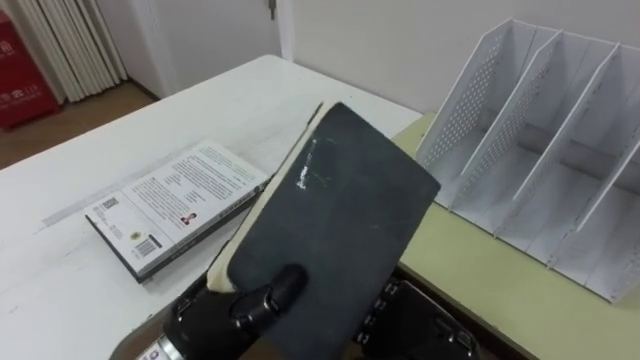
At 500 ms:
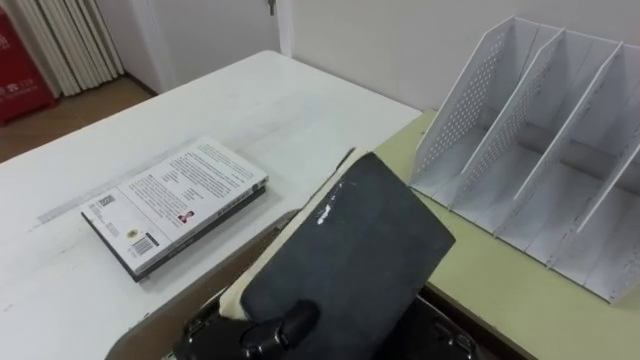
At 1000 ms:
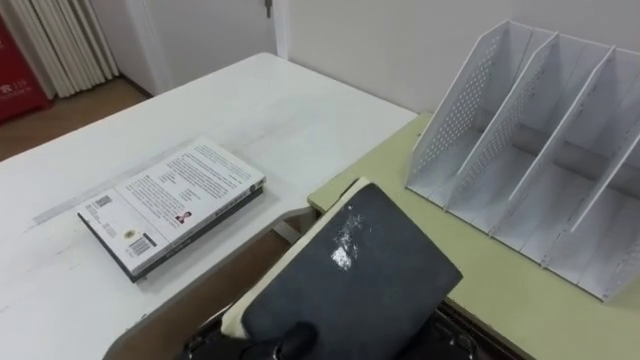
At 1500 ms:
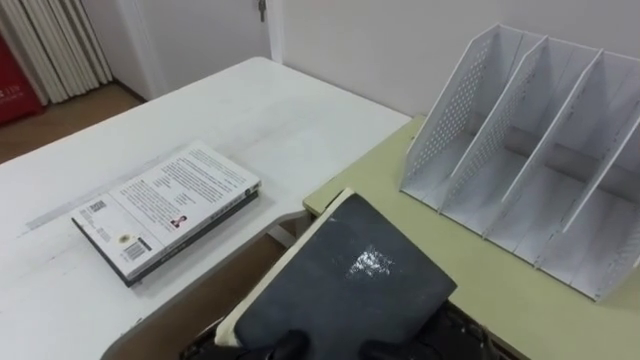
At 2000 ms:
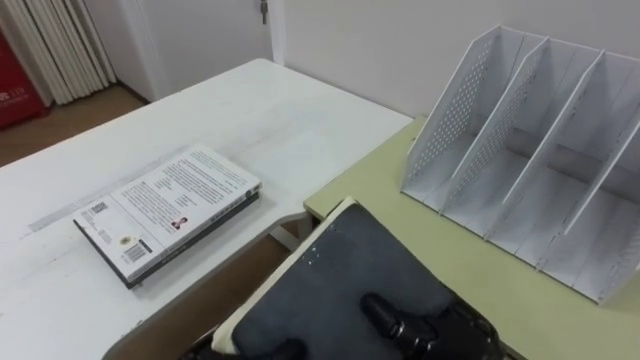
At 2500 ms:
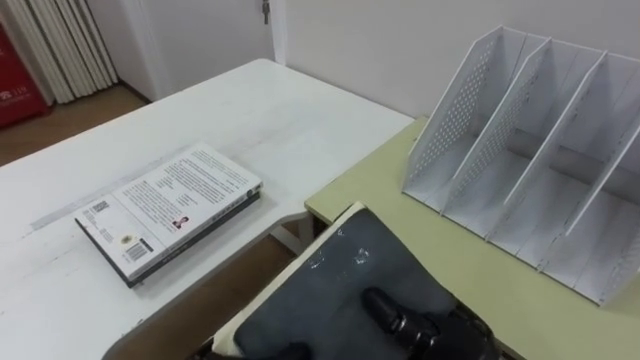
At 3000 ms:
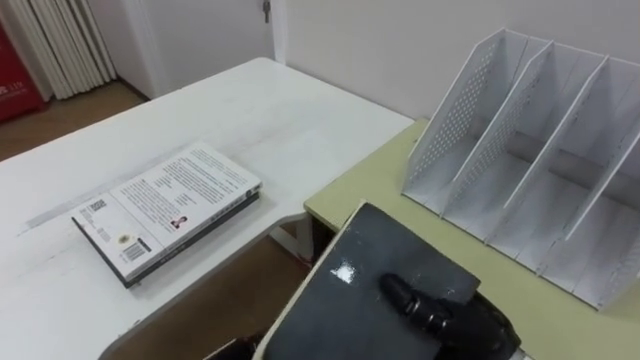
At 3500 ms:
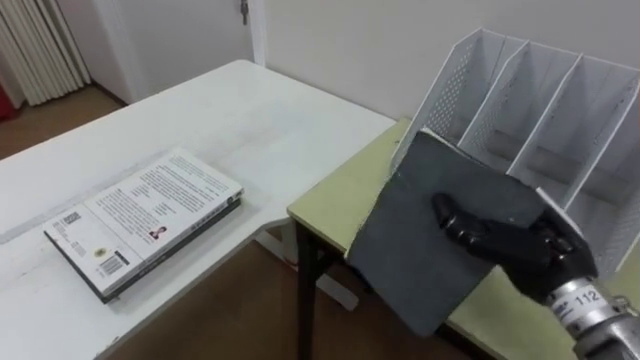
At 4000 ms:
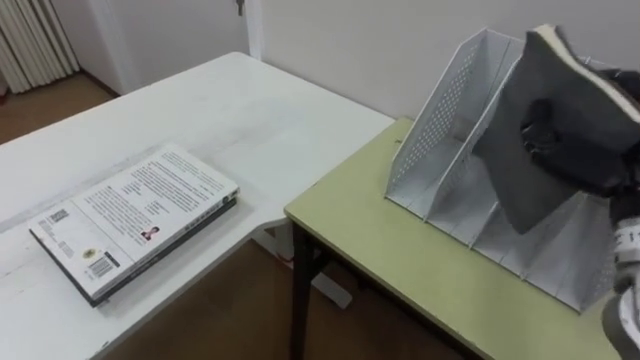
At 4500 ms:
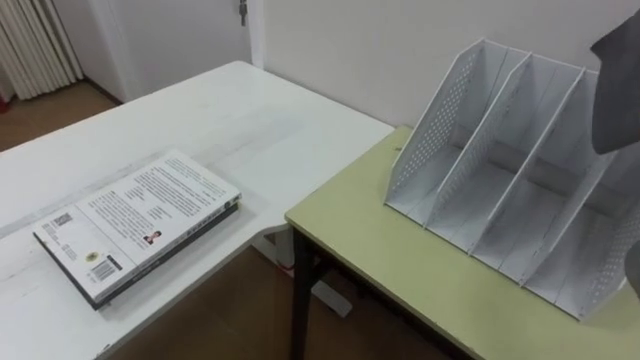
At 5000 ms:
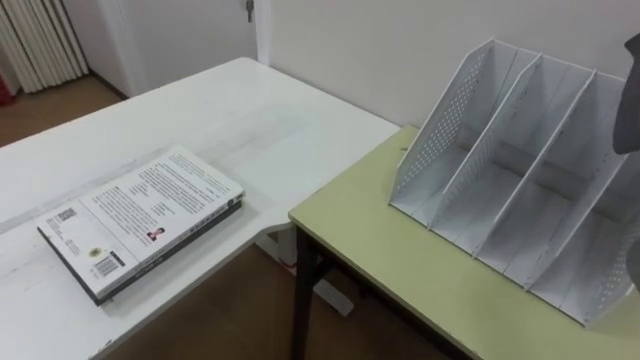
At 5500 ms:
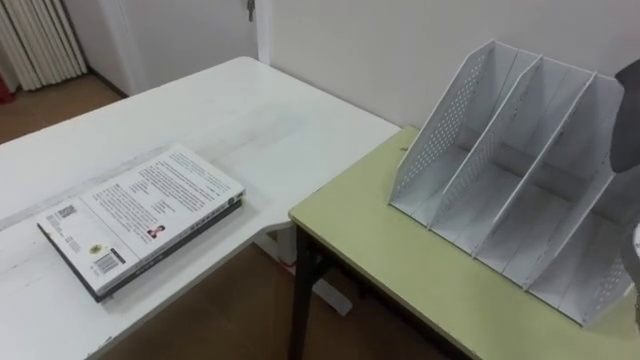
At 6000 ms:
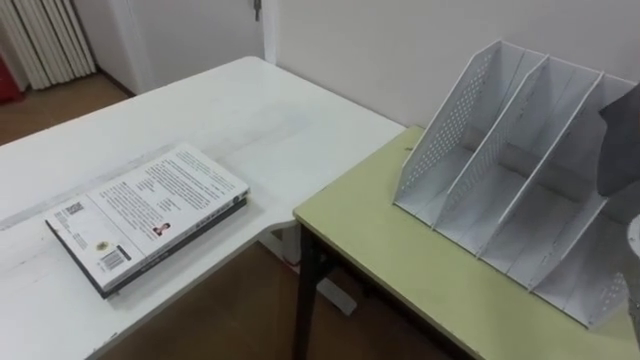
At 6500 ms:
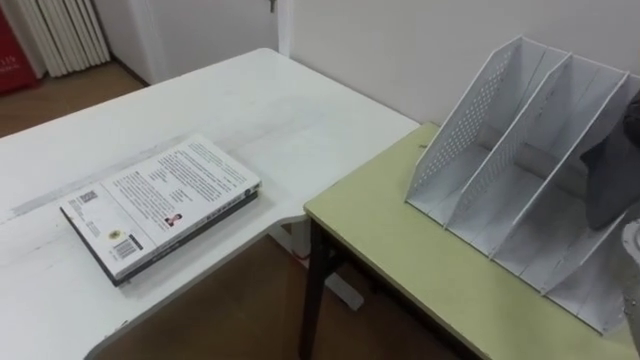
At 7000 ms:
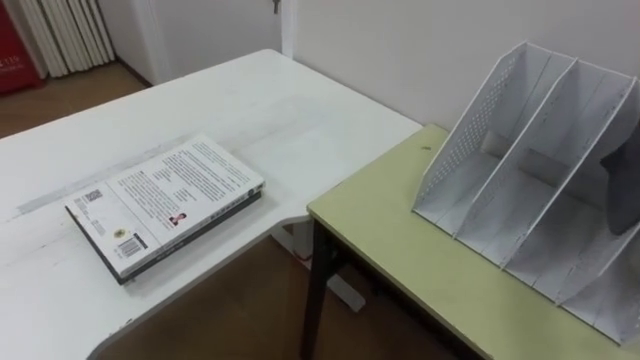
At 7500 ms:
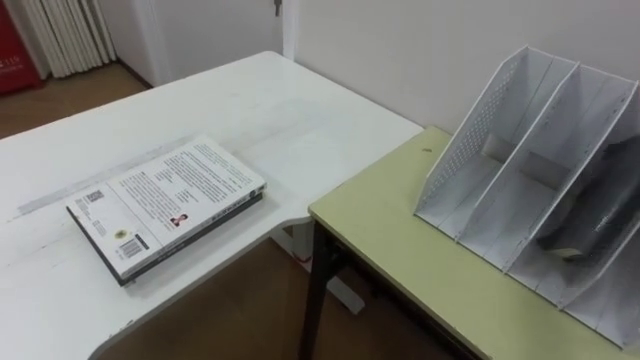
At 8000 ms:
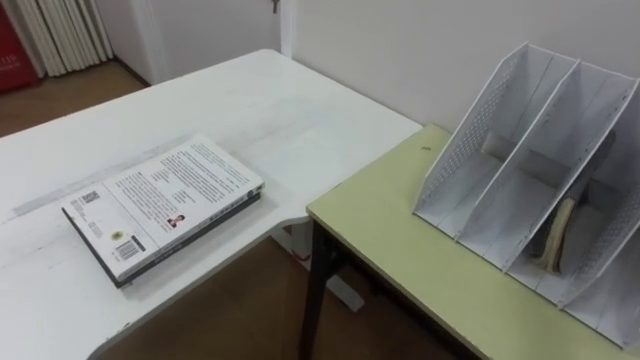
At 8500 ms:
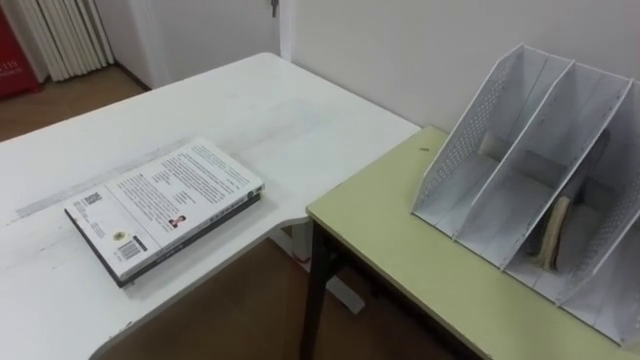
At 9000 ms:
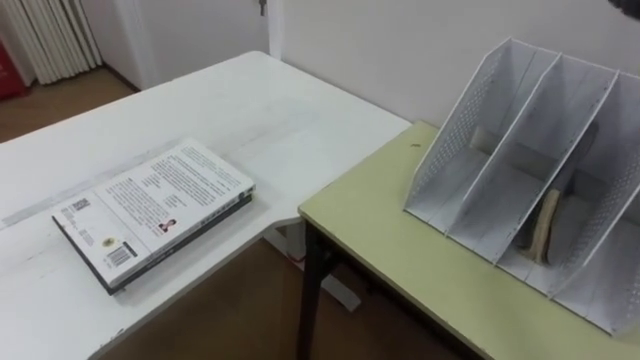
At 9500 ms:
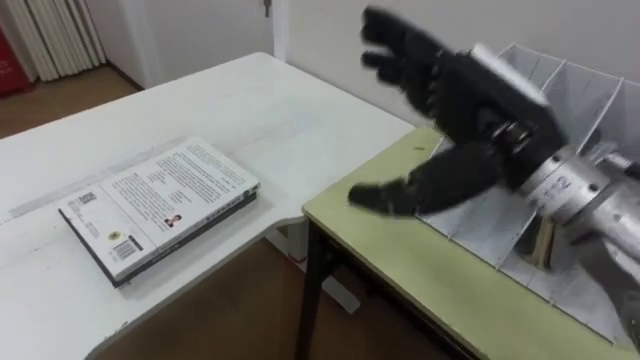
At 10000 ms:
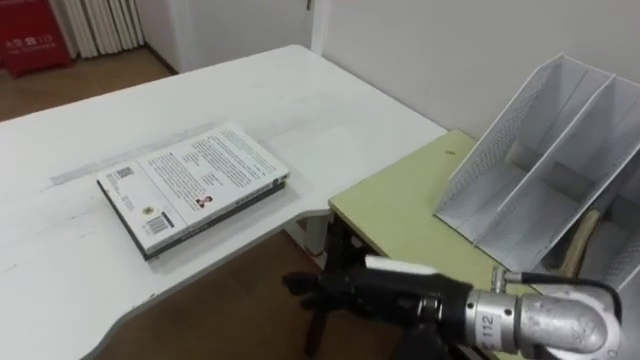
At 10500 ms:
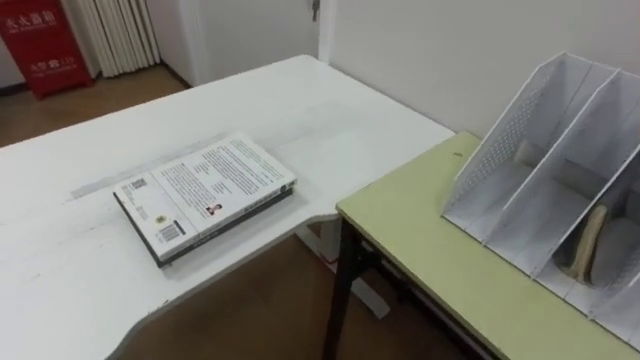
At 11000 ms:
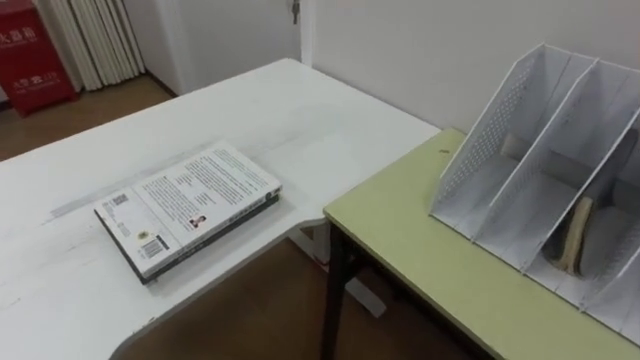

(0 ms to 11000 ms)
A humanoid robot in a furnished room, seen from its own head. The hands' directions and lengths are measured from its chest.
Task of the whole recording: Put the books on the table onto the bookshelf.
0 ms - 2000 ms: The right hand closes its fingers; the left hand travels downward by roughly 5 cm.
2000 ms - 3500 ms: The right hand heads to the right, forward and upward, covering about 15 cm.

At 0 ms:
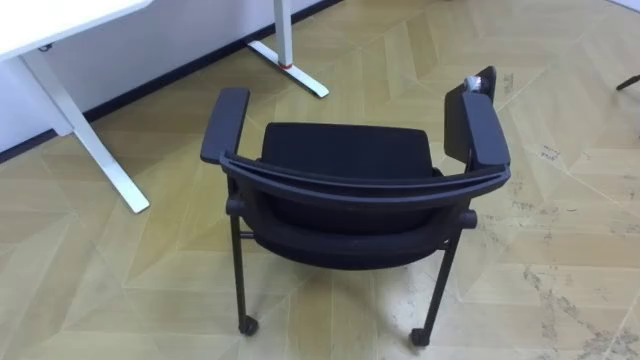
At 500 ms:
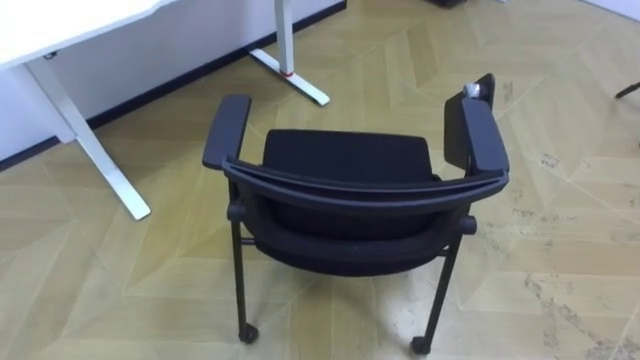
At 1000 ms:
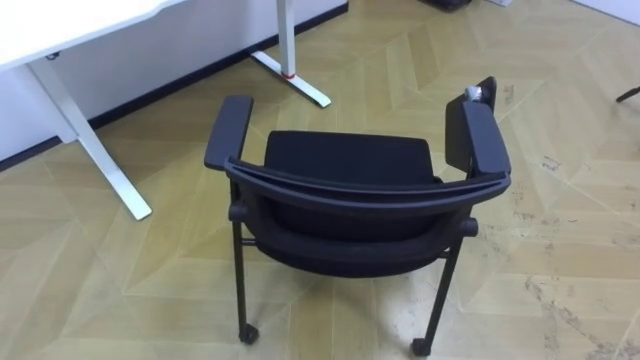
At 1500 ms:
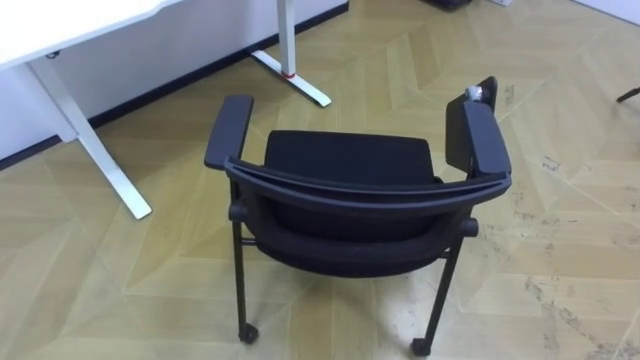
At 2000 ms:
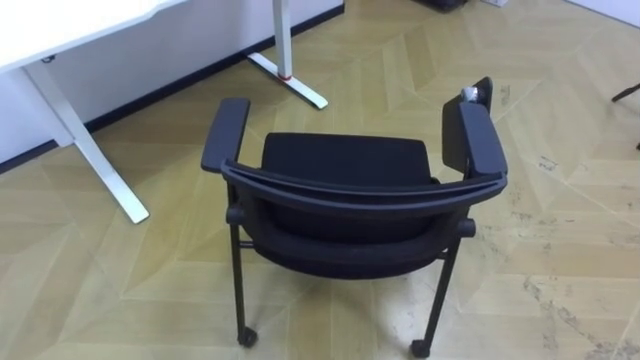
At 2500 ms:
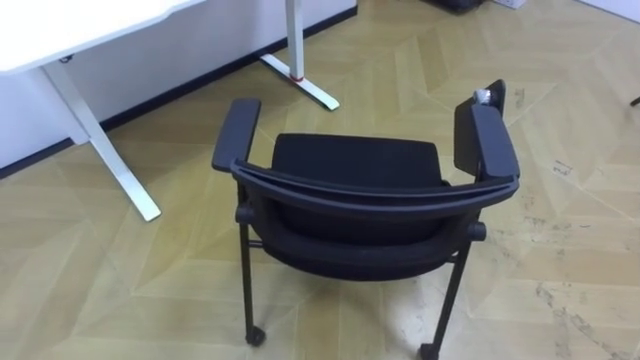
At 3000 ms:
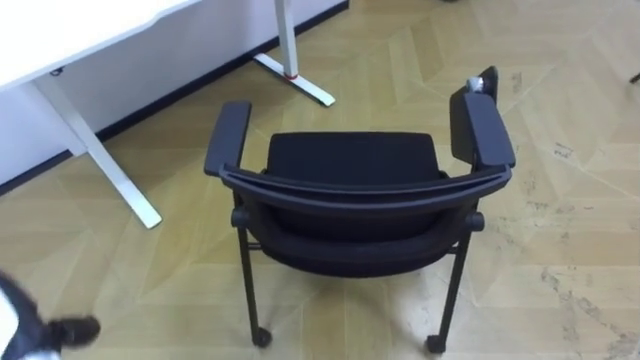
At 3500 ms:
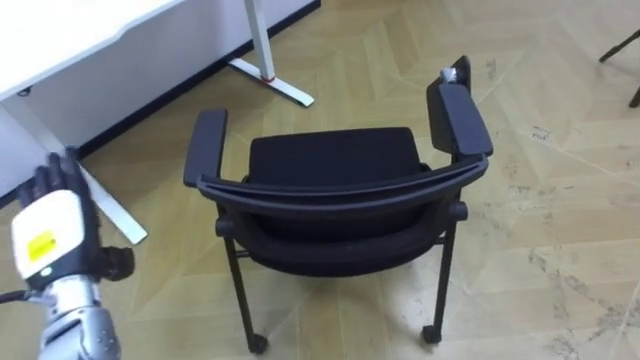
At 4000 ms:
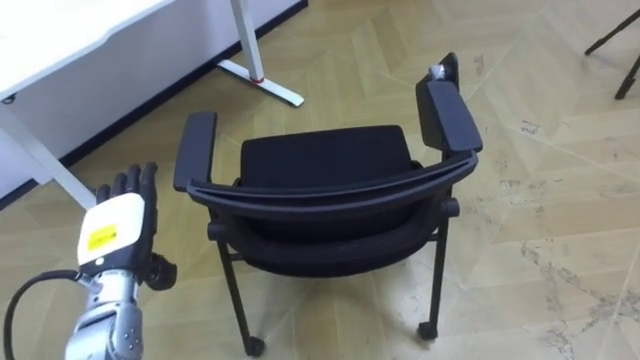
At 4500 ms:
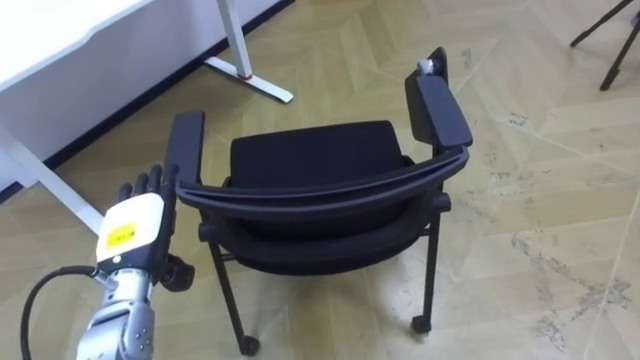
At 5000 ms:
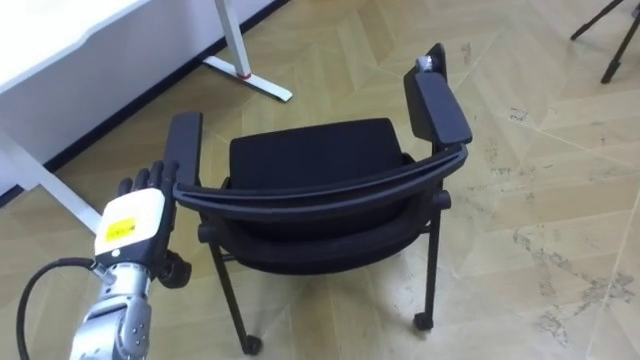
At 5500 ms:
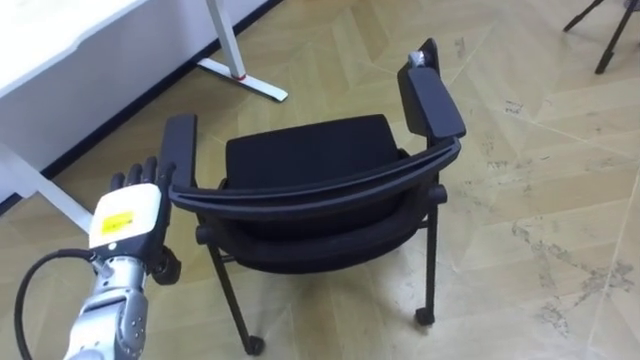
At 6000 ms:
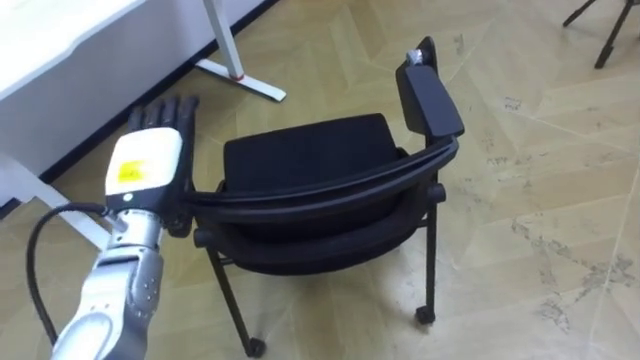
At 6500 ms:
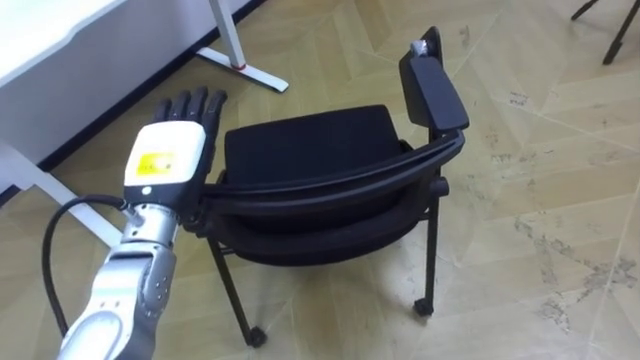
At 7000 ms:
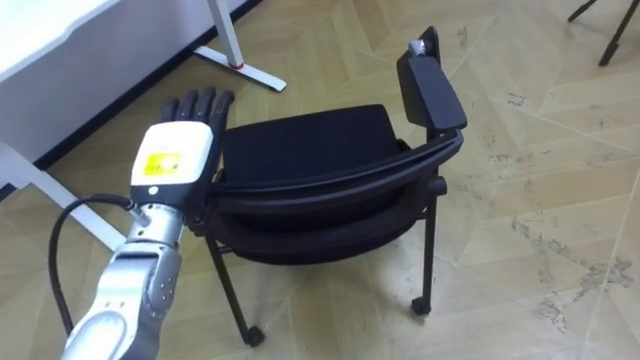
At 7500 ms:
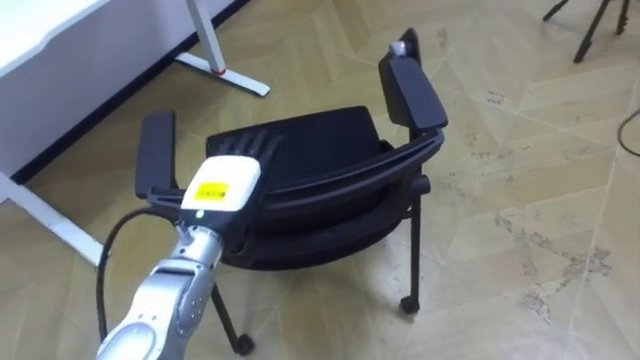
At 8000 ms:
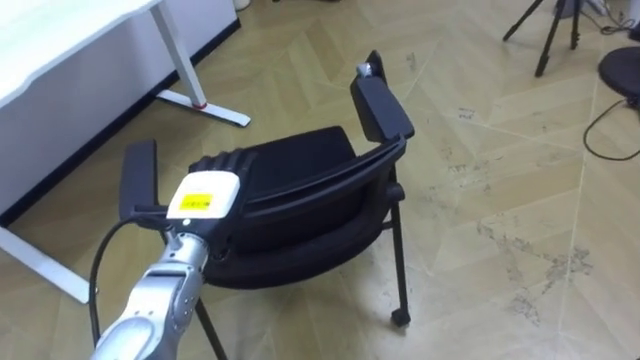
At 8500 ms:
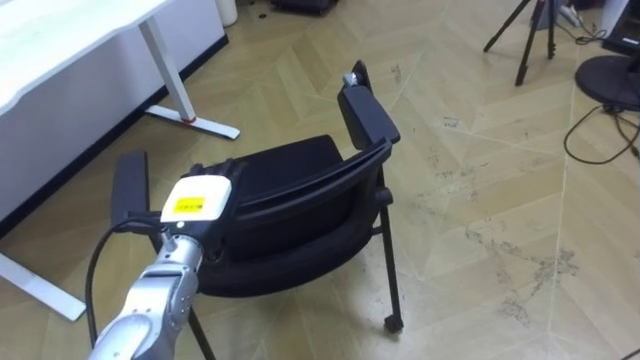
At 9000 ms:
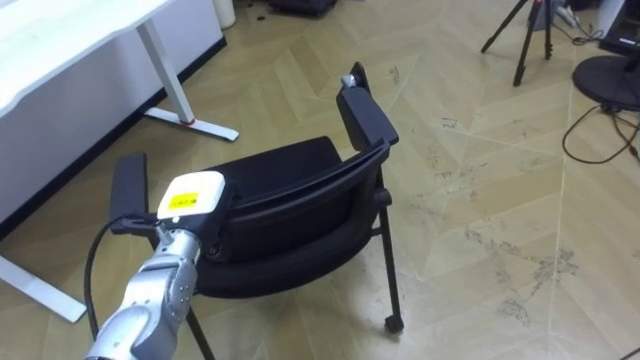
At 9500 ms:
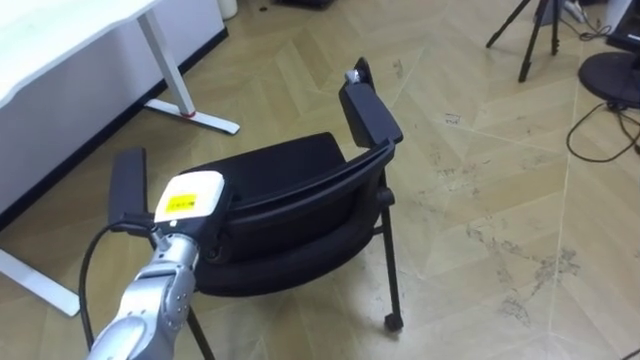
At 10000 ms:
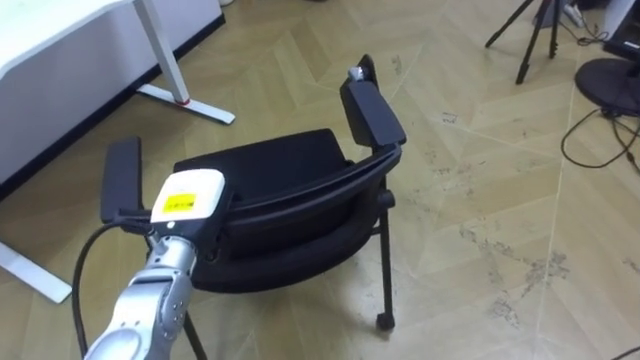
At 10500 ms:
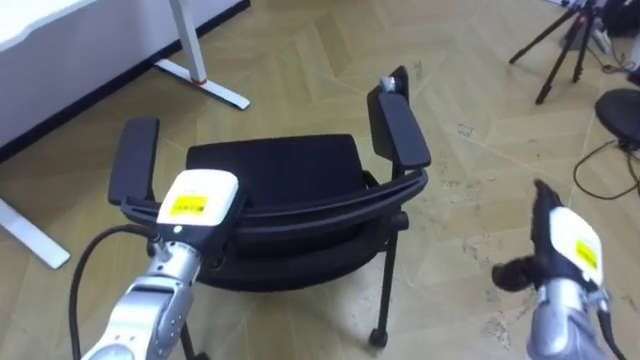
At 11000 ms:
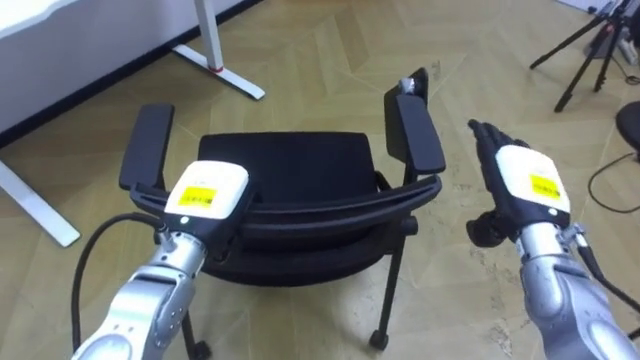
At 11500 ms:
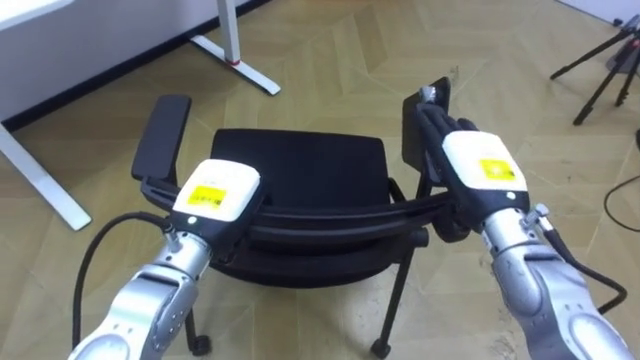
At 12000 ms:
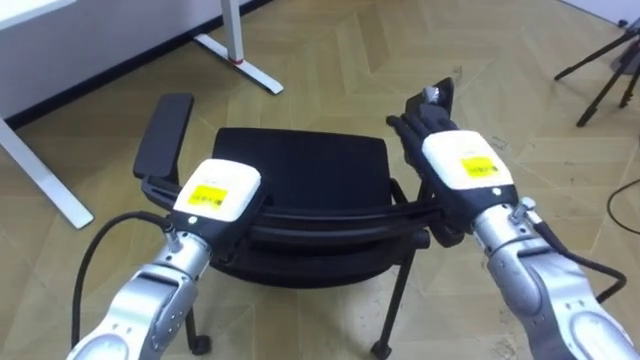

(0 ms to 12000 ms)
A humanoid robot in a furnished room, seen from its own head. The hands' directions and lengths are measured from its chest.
Task of the whole recording: Push the chair under the table.
4000 ms - 6000 ms: The left hand is displaced upward by some 5 cm.
6000 ms - 8000 ms: The left hand is displaced downward and to the right by approximately 10 cm.
8000 ms - 10000 ms: The left hand closes up.
10000 ms - 12000 ms: The left hand shifts by approximately 5 cm.
